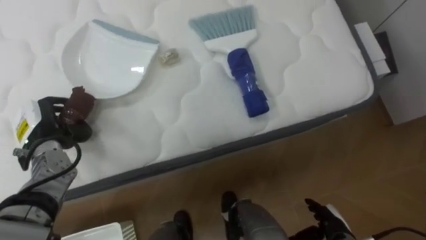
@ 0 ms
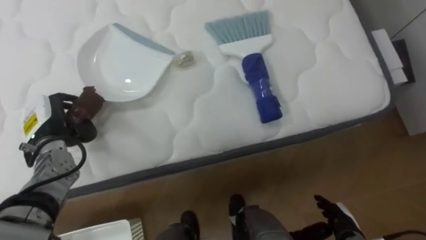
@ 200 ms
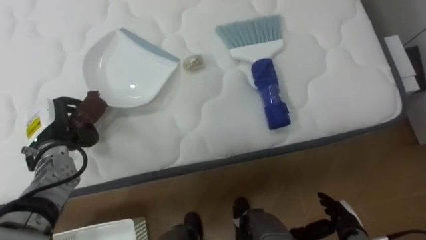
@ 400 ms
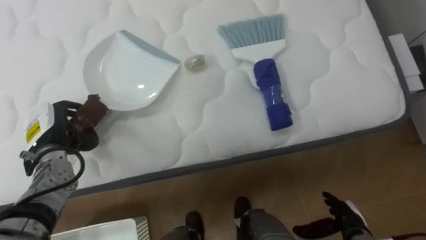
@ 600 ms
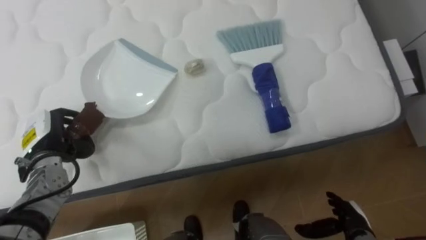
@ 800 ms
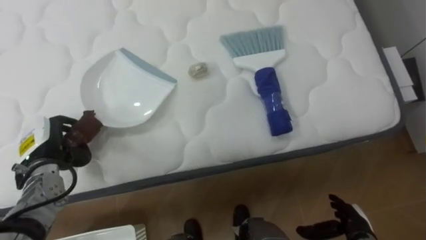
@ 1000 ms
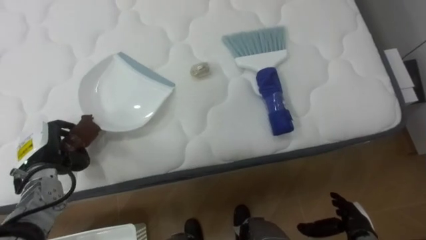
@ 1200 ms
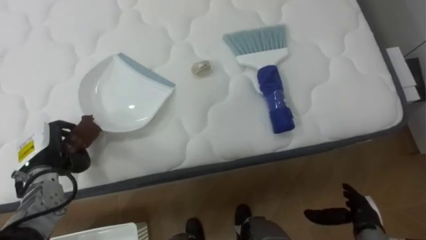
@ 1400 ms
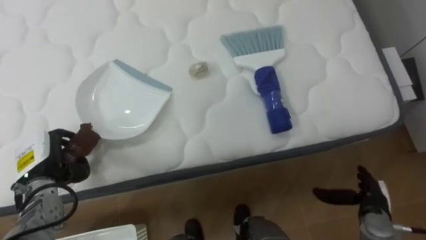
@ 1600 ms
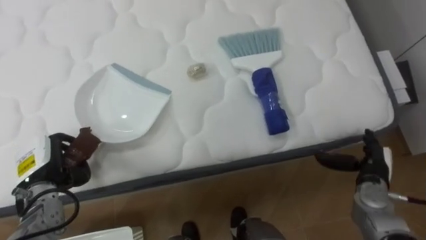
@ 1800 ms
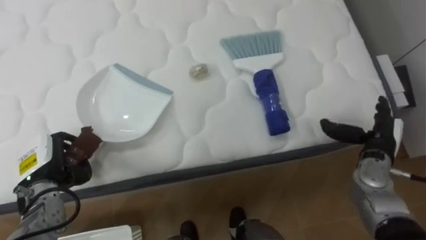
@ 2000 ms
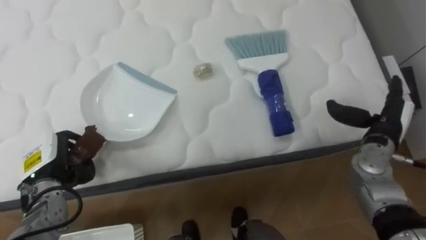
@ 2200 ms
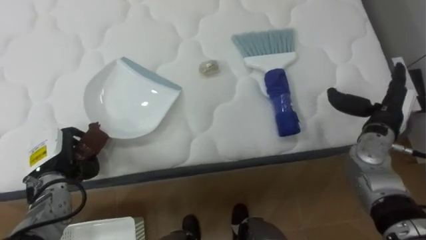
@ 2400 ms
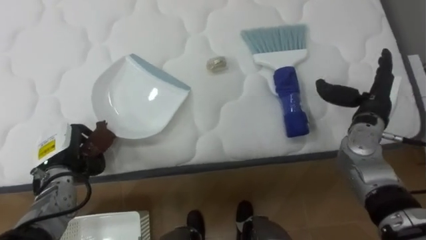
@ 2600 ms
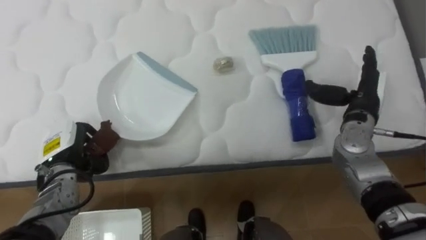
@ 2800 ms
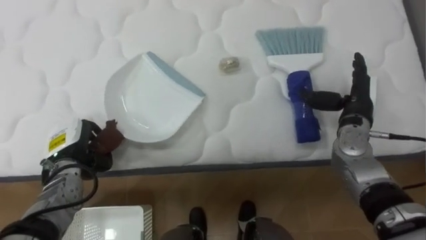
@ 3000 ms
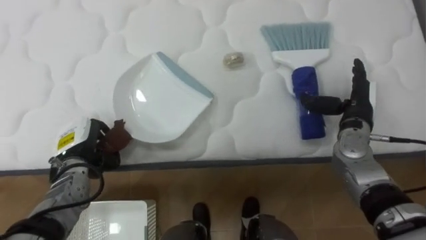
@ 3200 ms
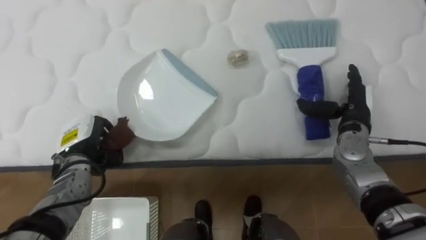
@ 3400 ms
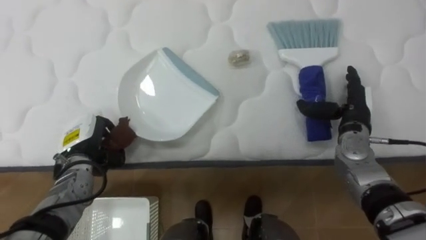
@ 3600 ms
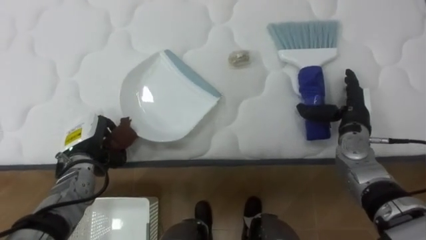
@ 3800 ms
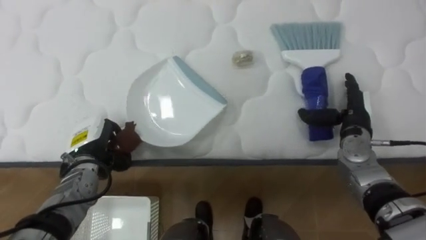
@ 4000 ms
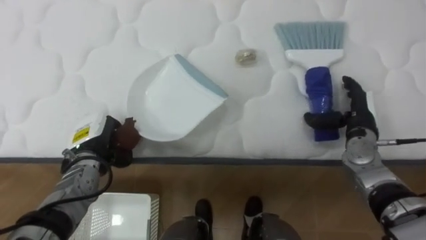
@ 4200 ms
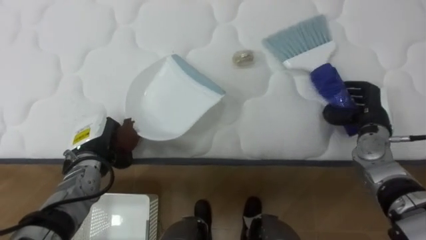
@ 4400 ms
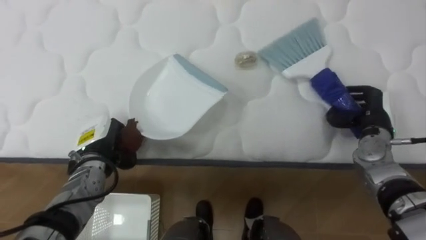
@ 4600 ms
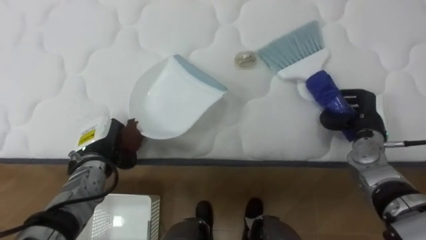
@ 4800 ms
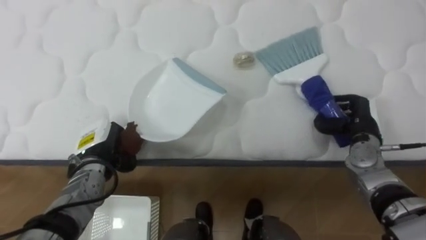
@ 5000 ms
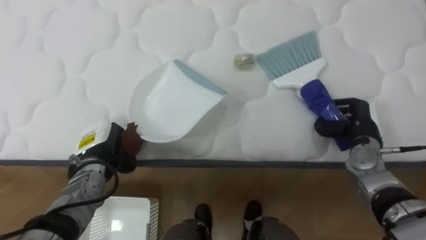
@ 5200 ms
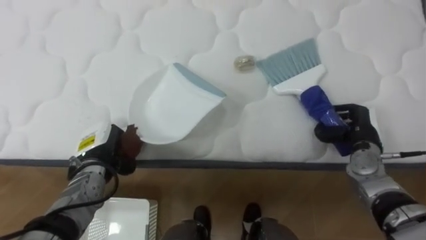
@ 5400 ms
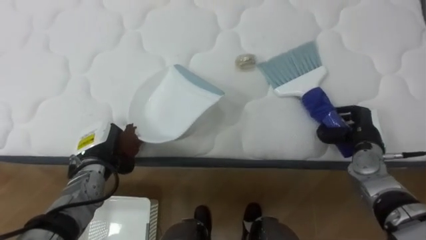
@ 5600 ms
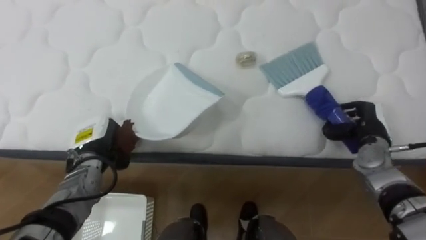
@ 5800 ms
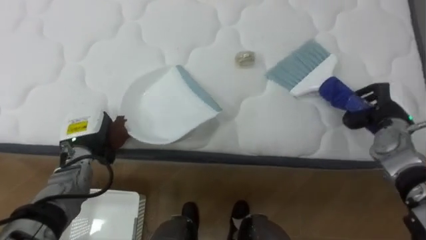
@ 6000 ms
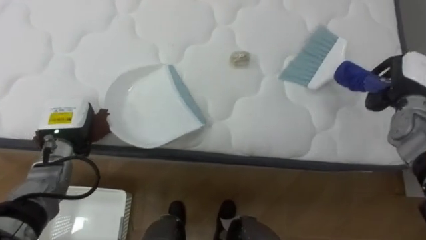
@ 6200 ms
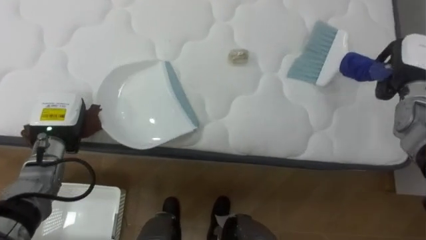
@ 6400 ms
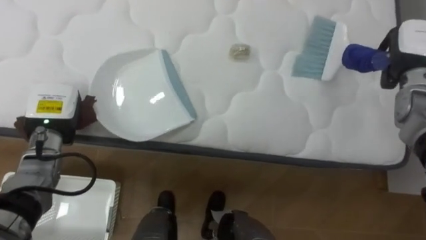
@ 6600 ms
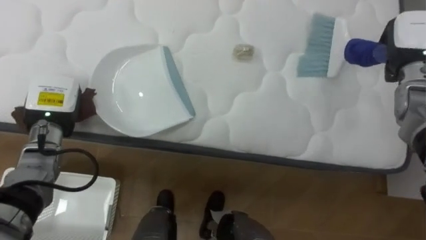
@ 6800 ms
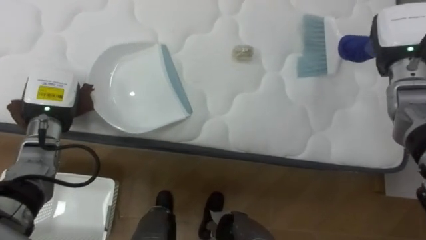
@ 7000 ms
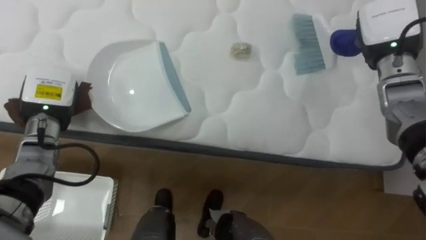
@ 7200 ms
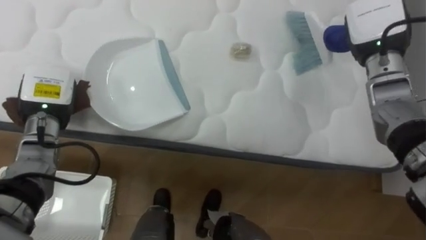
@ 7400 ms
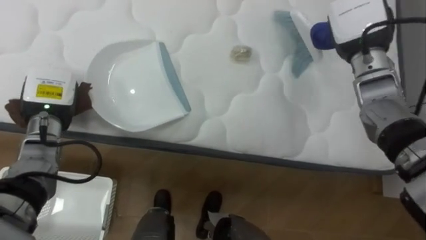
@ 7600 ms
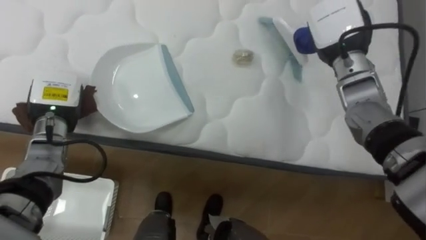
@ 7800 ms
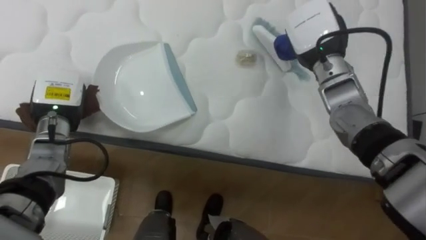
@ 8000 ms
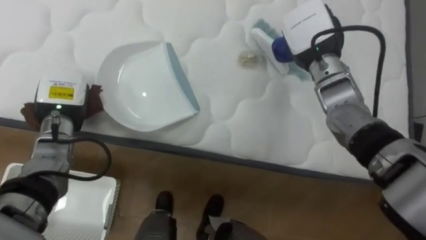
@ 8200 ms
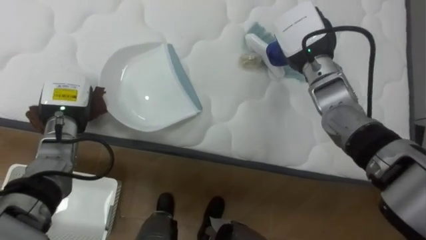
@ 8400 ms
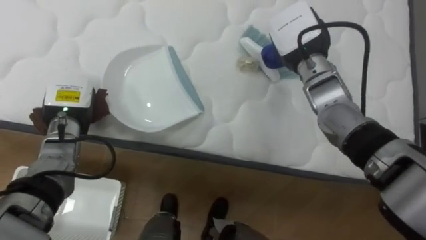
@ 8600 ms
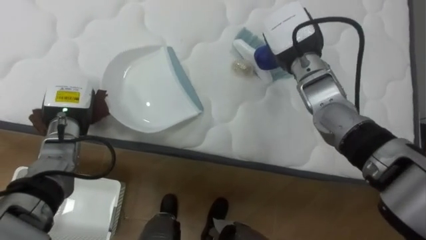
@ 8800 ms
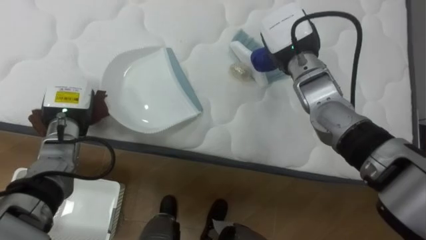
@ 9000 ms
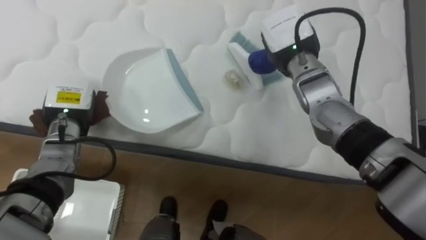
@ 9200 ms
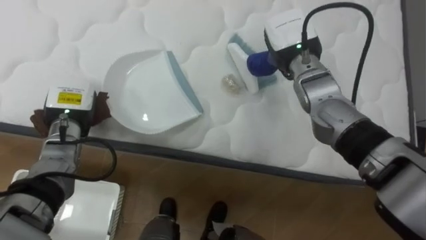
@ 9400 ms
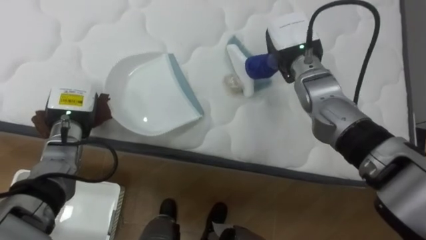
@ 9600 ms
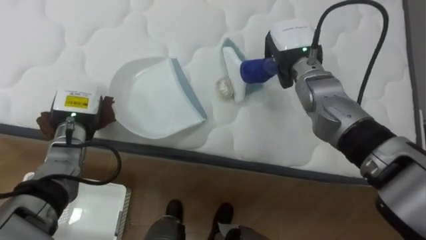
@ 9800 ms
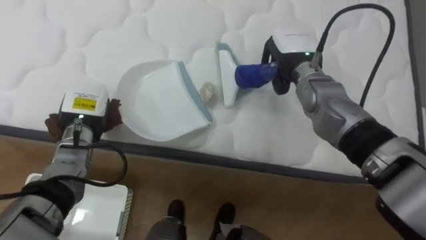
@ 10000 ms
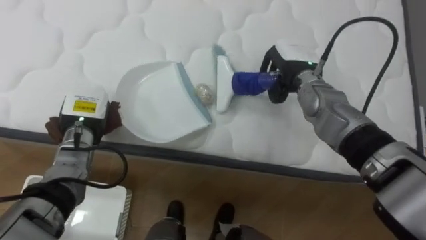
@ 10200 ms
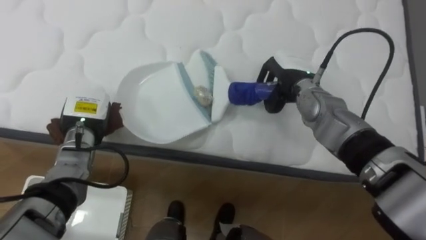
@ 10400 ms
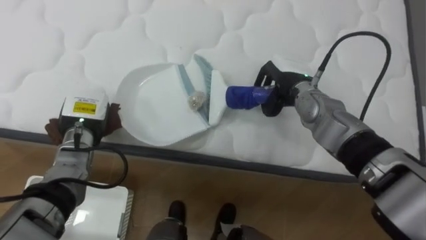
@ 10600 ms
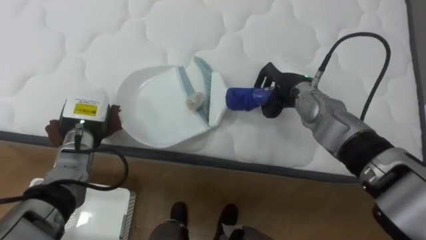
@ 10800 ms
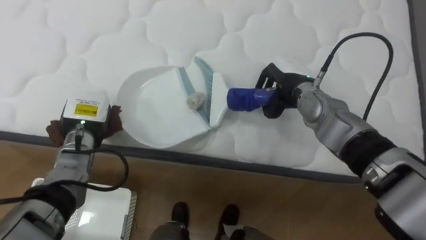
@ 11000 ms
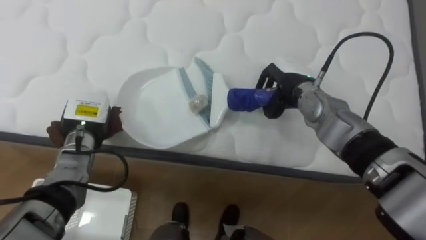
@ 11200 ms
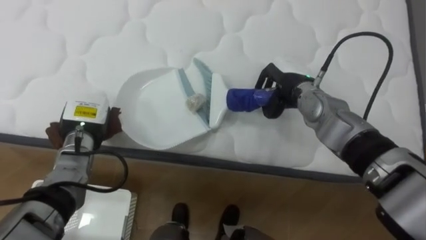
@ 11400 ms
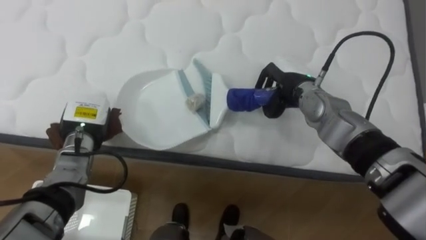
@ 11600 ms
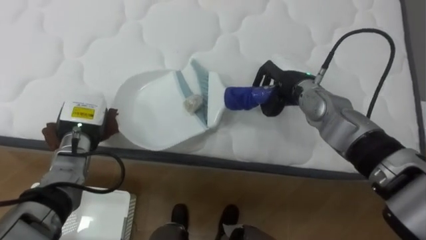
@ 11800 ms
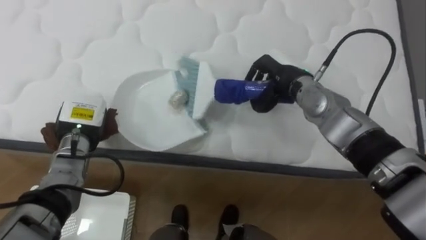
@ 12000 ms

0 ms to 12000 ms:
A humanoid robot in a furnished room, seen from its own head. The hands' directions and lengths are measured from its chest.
Task of the whole recording: Pick up the brush on your right and the dustpan on your left. Use the brush to sweep the crumpled paper on the bed into the dustpan, then turn left and empty it into the basket.
0 ms to 1600 ms: The left hand is displaced backward by about 5 cm. The right hand is displaced to the right by roughly 5 cm.
1600 ms to 3000 ms: The left hand ends up some 5 cm from where it was. Meanwhile the right hand shifts roughly 20 cm upward and forward.
3000 ms to 4400 ms: The right hand shifts by approximately 5 cm, and closes up.
6000 ms to 7600 ms: The left hand travels upward by roughly 10 cm, while the right hand is displaced upward, to the left and forward by roughly 20 cm.
7600 ms to 9000 ms: The right hand moves to the left, roughly 10 cm.
9000 ms to 10400 ms: The right hand shifts some 5 cm downward.

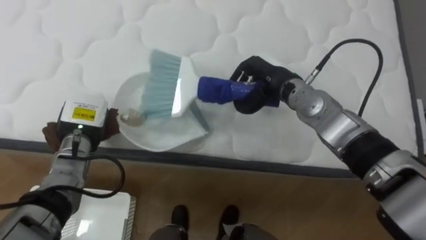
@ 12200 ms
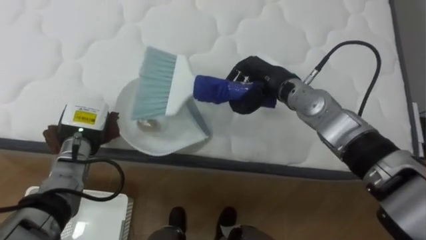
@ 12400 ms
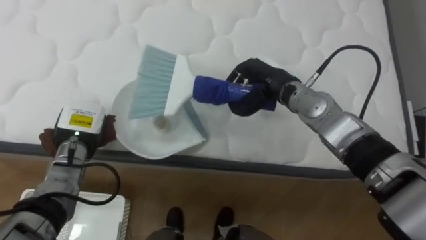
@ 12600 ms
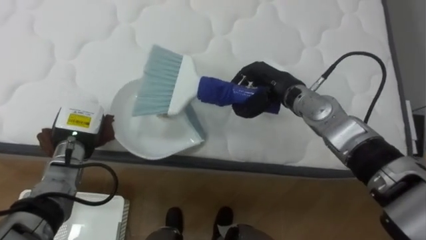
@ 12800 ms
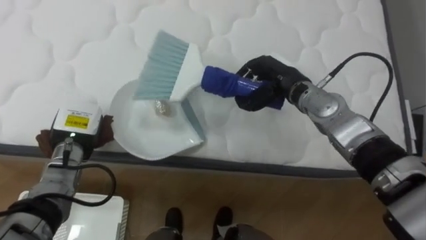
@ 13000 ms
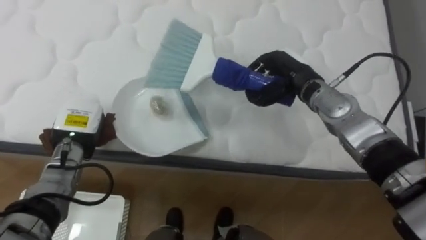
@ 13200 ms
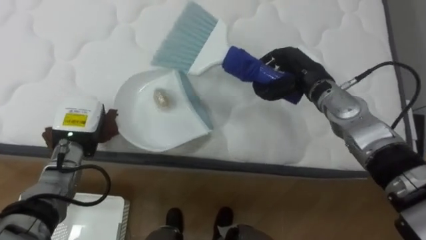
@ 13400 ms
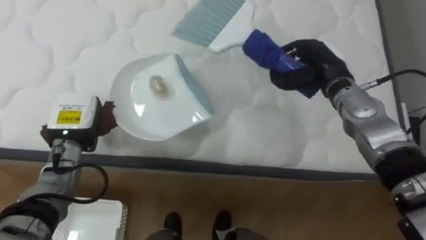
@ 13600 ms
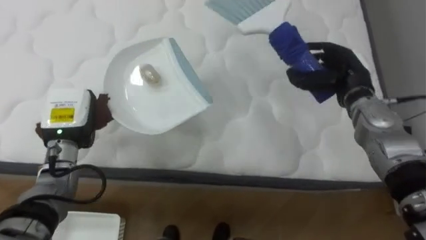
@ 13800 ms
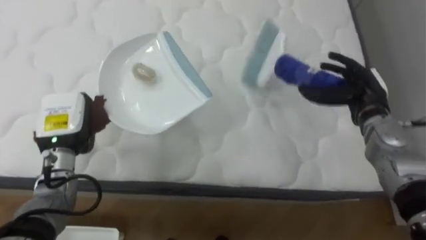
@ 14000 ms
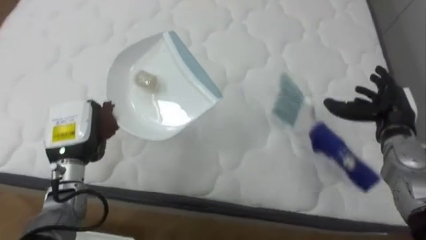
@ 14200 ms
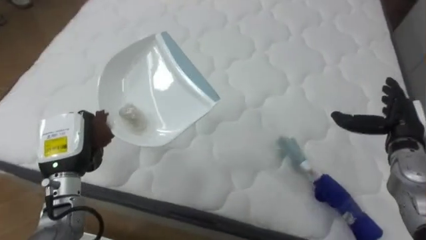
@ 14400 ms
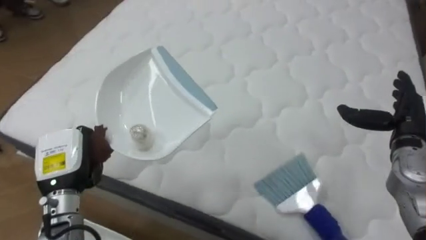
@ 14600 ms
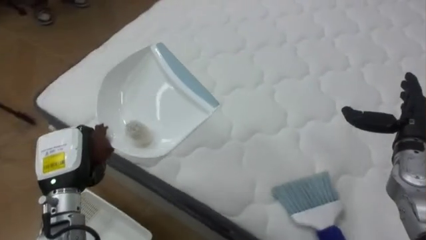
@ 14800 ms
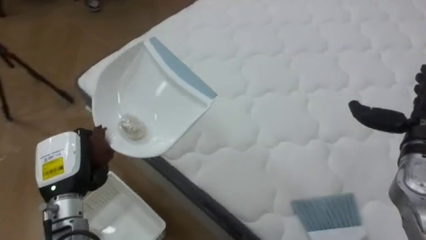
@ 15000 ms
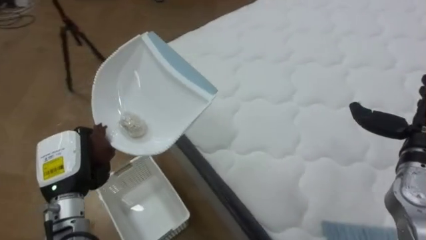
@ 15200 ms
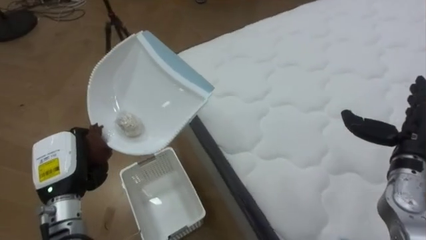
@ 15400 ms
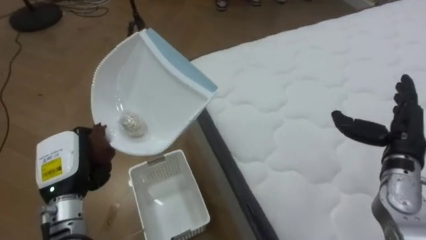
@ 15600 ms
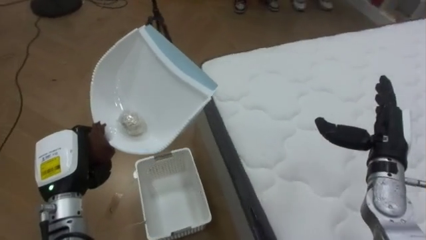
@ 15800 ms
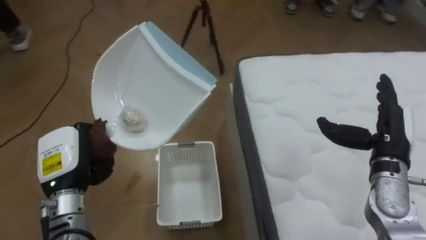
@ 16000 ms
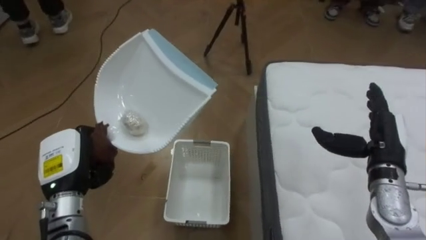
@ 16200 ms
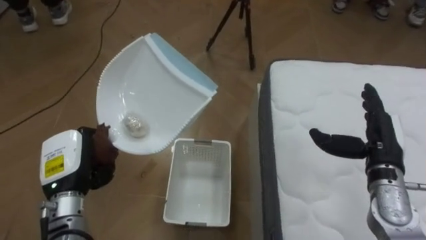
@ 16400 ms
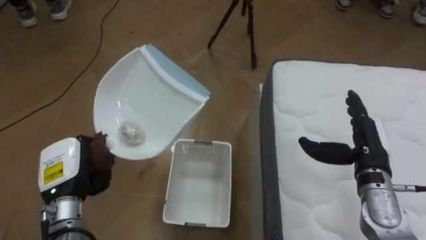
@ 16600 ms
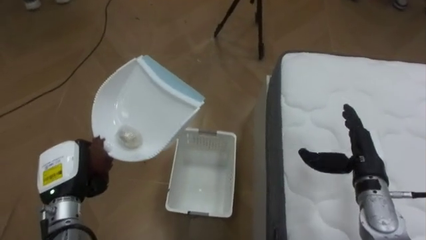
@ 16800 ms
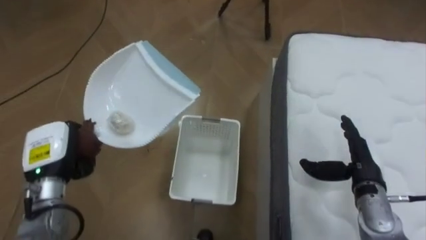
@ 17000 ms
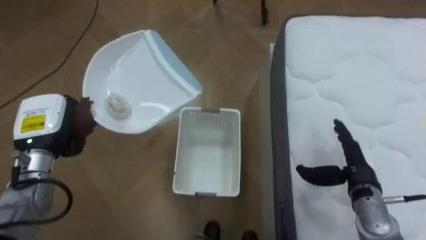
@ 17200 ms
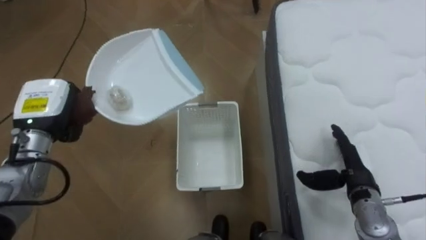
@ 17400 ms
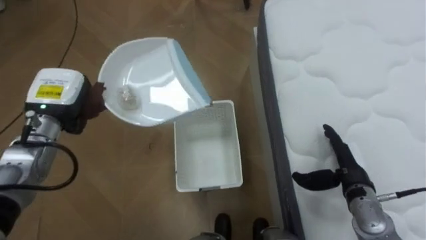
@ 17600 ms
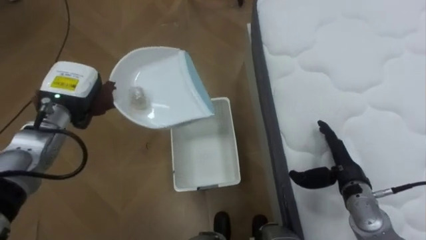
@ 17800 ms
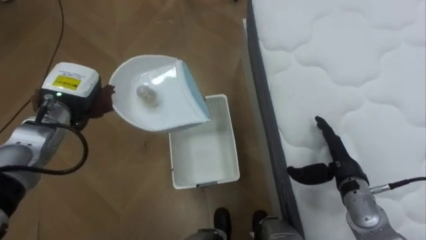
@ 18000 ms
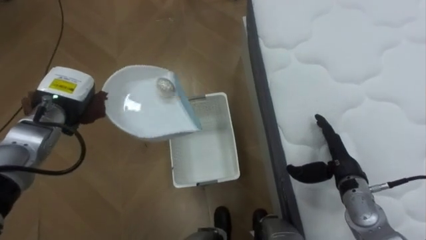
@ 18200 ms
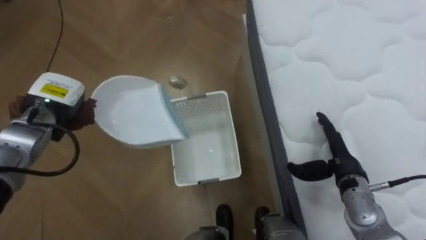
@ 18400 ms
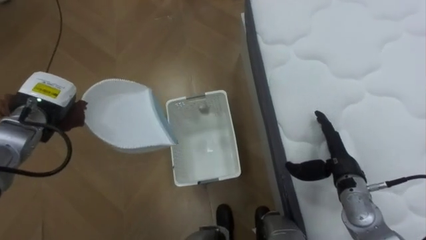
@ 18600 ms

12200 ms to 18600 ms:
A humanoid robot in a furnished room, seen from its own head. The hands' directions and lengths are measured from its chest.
Task of the whole recording: Pick up the brush on your right and the dustpan on your left. Use the brush to sweep the crumpled paper on the bed into the dustpan, then turn left and empty it into the basket.
12200 ms to 13800 ms: The right hand travels to the right by some 15 cm.
13800 ms to 15400 ms: The robot rotates about 55 degrees to its left. The left hand is displaced backward by some 10 cm.
15400 ms to 17000 ms: The robot faces approximately 40 degrees further to its left. The right hand shifts roughly 10 cm downward and to the left.
17000 ms to 18600 ms: The left hand shifts about 10 cm forward and upward.
